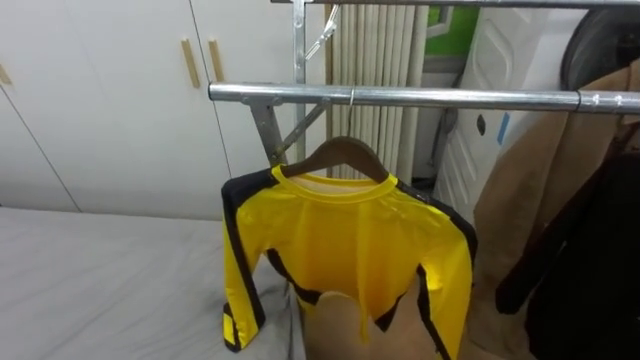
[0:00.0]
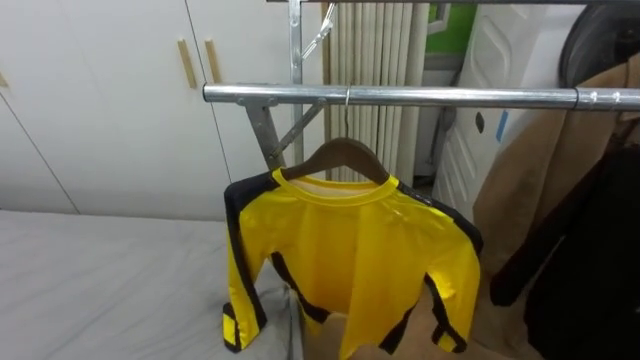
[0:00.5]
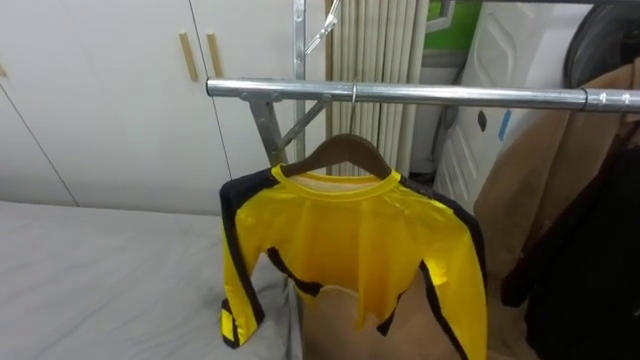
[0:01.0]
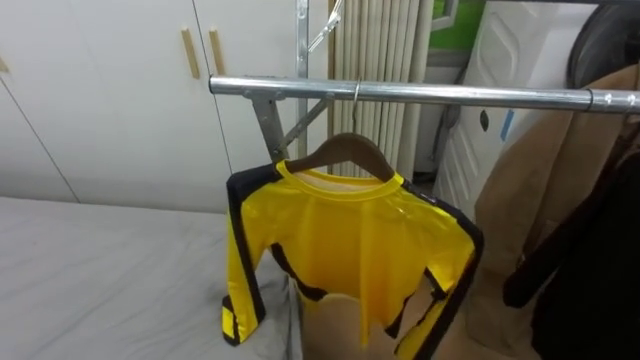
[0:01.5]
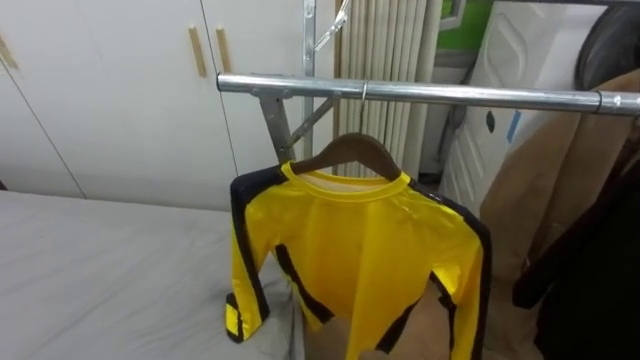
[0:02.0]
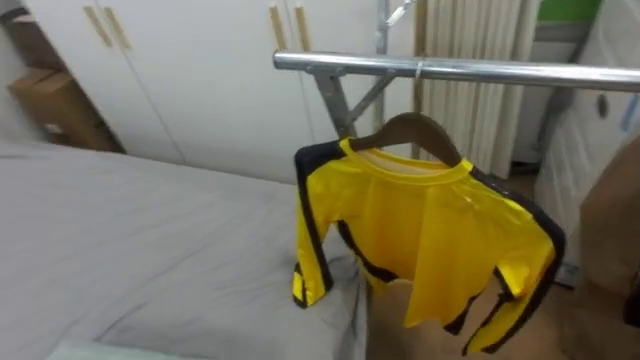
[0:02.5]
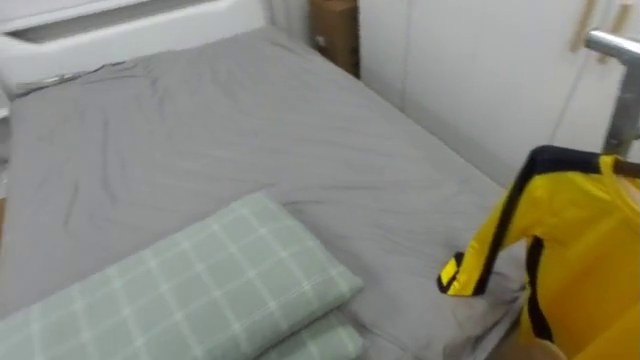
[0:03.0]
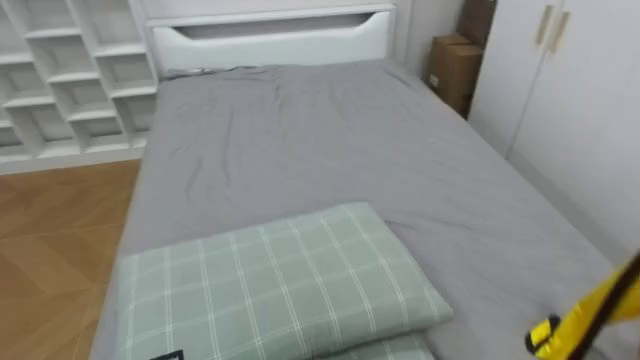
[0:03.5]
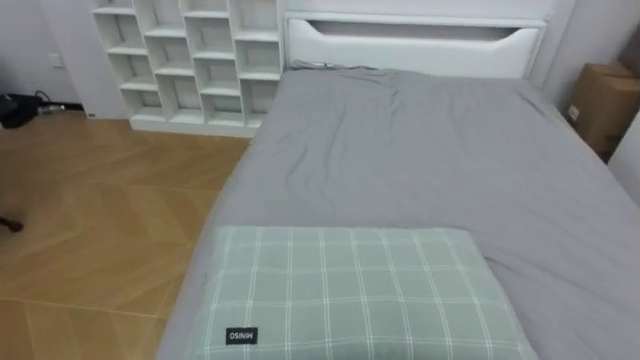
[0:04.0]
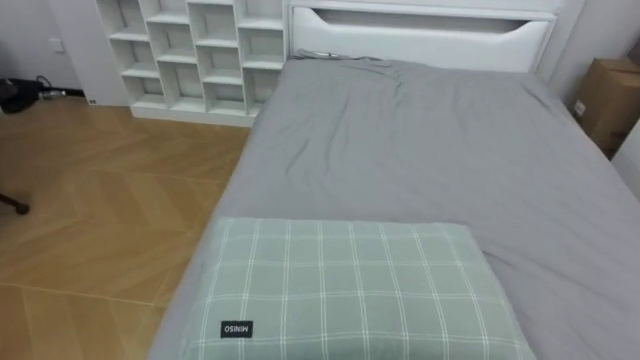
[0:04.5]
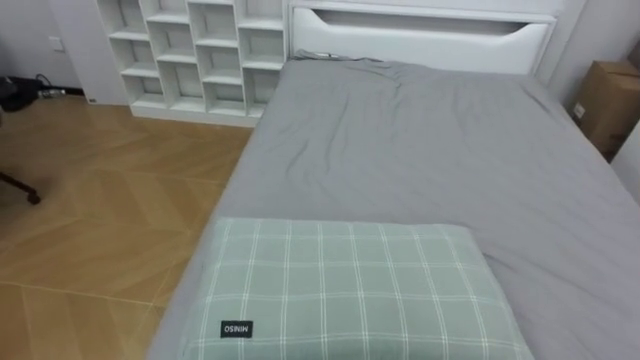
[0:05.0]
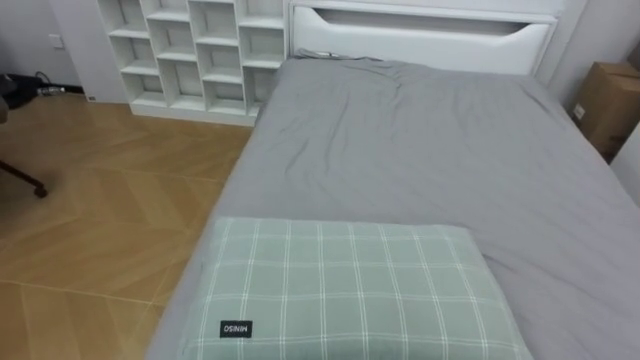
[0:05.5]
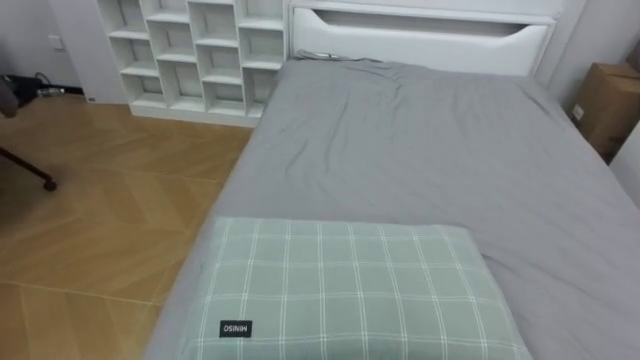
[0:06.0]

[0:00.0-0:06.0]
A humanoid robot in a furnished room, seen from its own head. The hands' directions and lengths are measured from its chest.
Task of the whole recording: Pick up the yellow shirt on the bed and hang it on the clothes rack on the right.
0:02.0 to 0:04.0: The robot turns to its left by approximately 90 degrees.

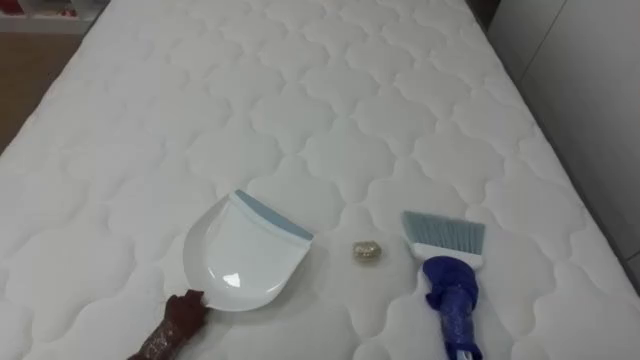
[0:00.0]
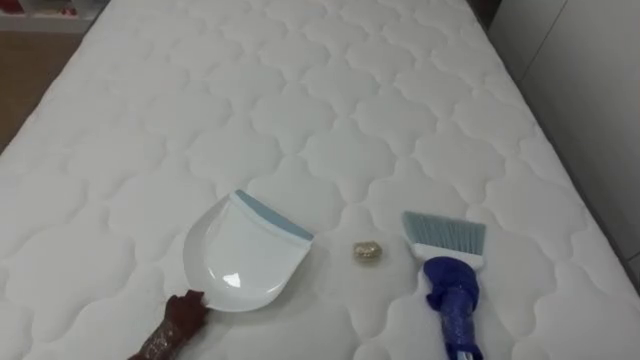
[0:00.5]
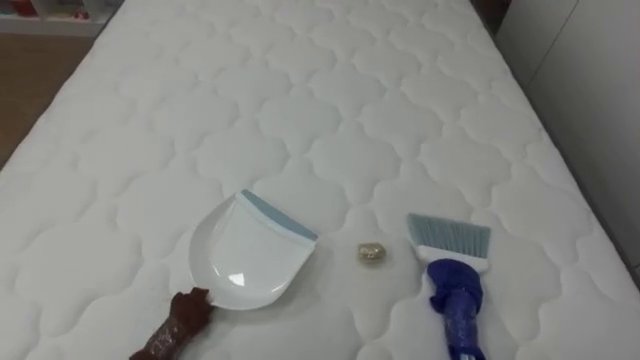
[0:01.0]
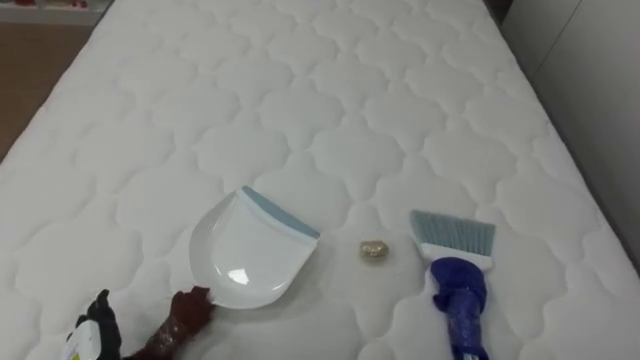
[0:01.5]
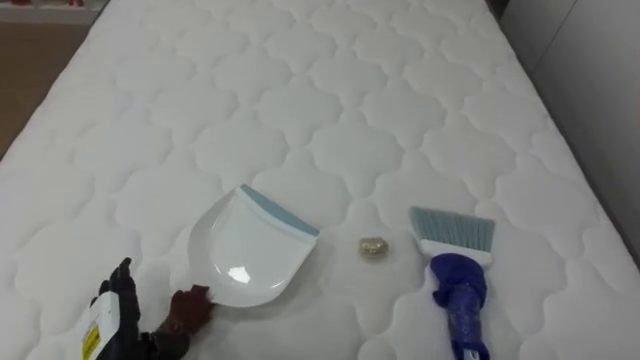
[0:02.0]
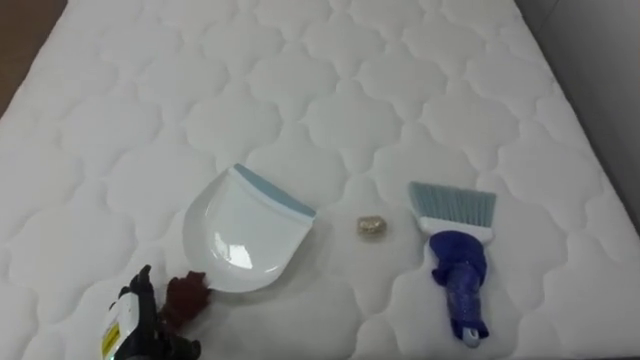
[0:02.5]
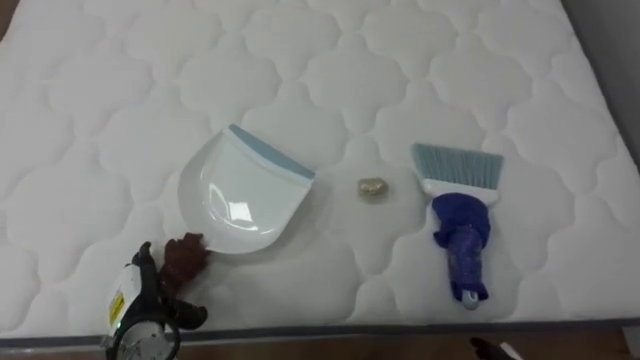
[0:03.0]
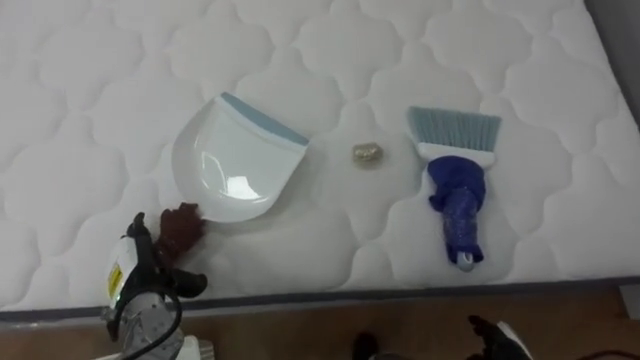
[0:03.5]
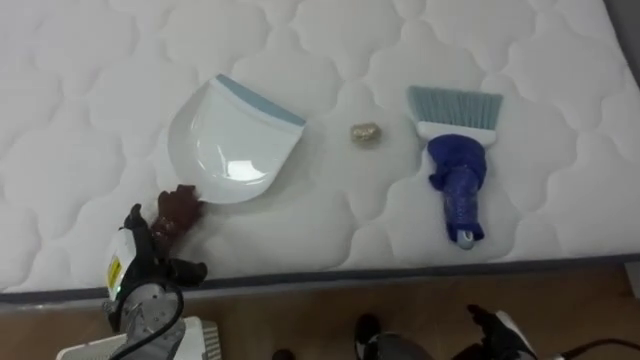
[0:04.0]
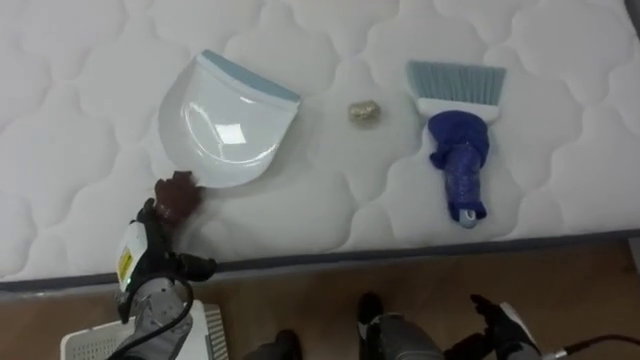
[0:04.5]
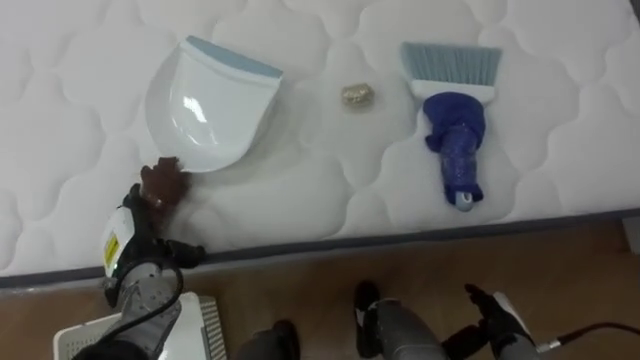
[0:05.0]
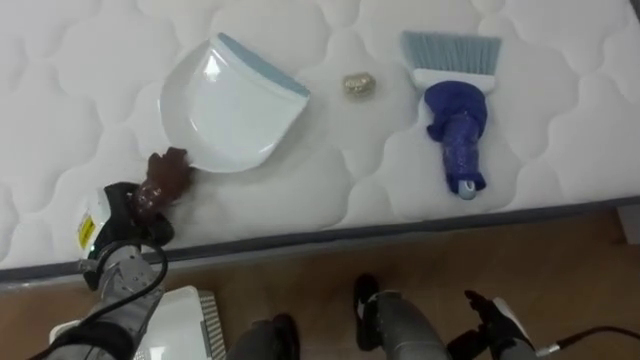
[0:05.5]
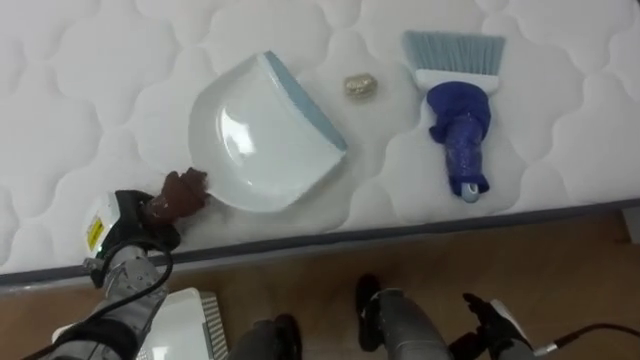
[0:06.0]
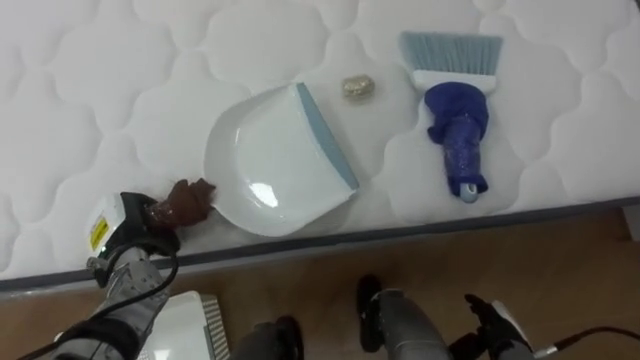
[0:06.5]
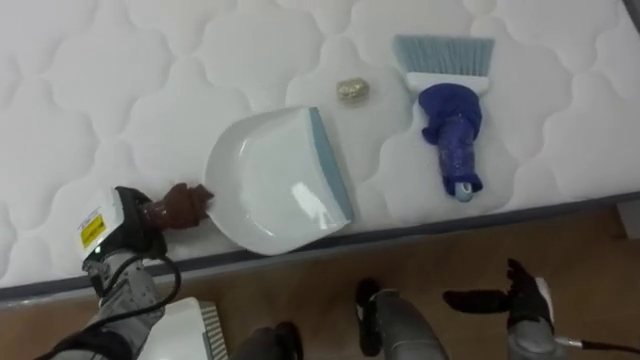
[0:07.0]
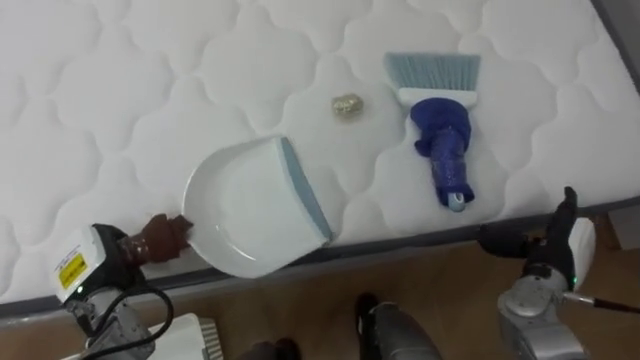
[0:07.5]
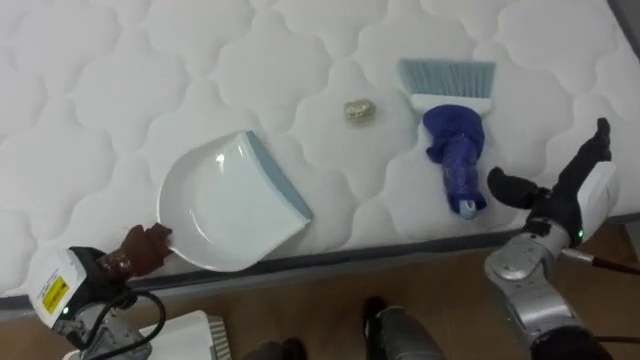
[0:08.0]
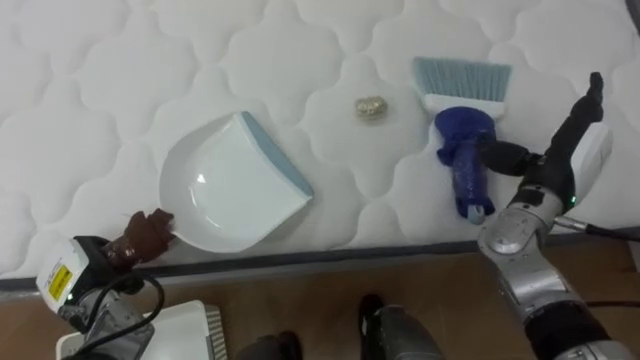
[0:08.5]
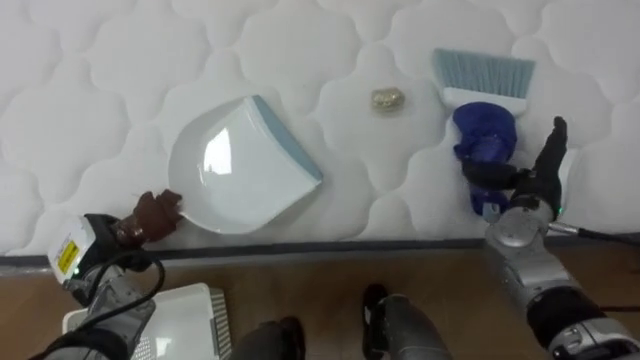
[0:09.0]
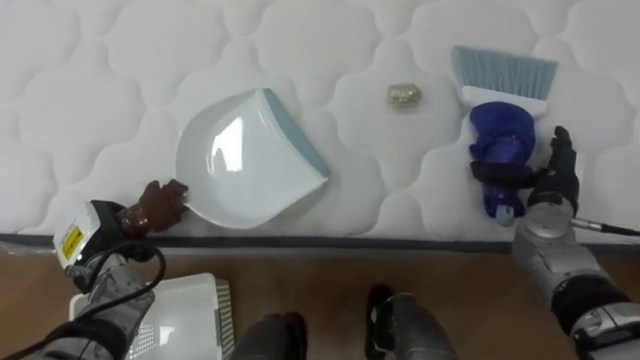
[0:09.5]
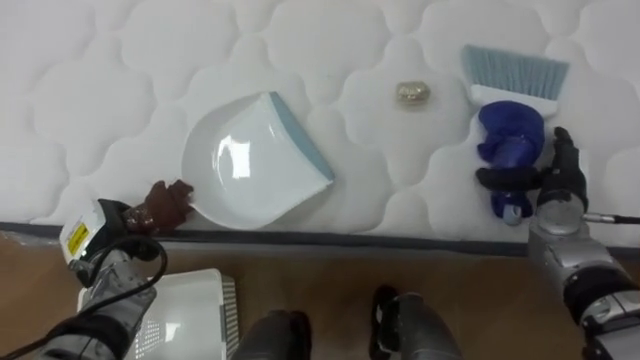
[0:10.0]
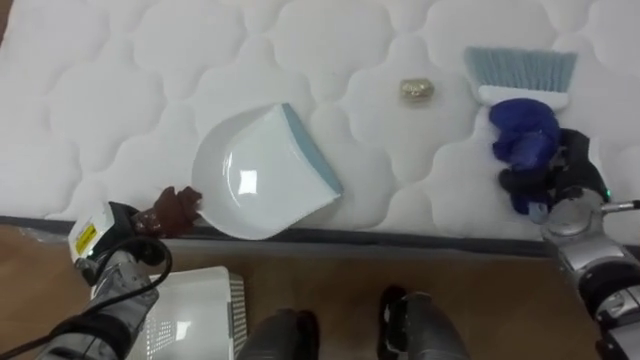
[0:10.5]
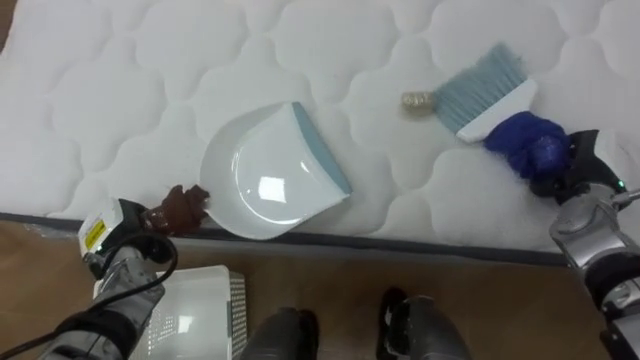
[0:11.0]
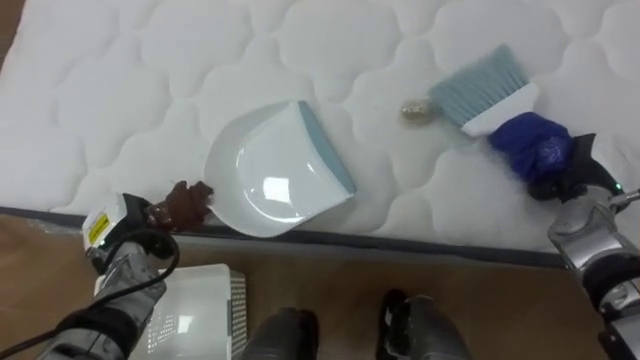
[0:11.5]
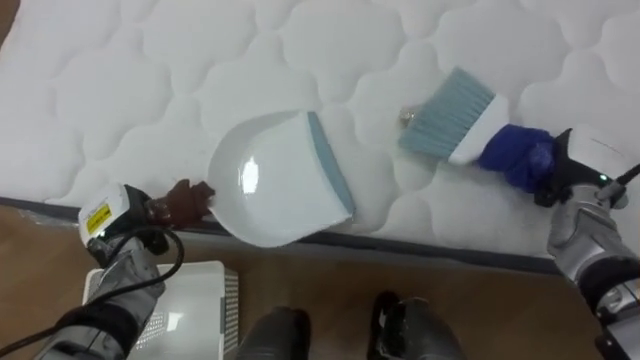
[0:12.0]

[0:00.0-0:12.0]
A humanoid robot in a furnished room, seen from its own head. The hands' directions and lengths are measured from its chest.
Task of the whole recording: Pick up the brush on your right and the dustpan on your left. Use the brush to sweep the crumpled paper on the bed into the dustpan, then turn left and empty it into the basket.
0:02.0 to 0:04.0: The left hand travels forward by roughly 10 cm.
0:04.0 to 0:06.0: The left hand ends up some 5 cm from where it was, and closes its fingers.
0:06.0 to 0:08.0: The left hand moves backward, roughly 5 cm, while the right hand goes some 20 cm upward and forward.
0:08.0 to 0:10.0: Both hands move forward, about 5 cm.
0:10.0 to 0:12.0: The right hand closes.

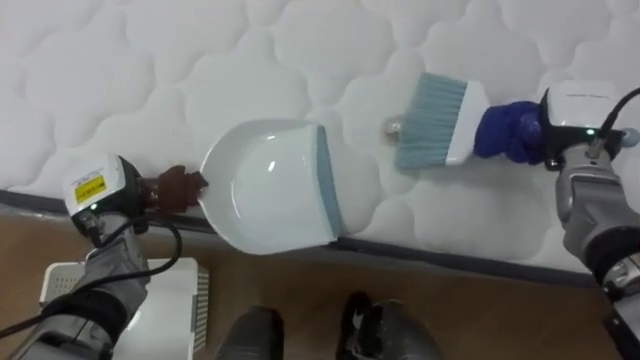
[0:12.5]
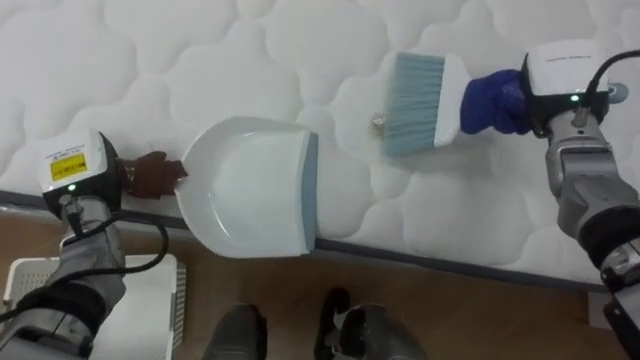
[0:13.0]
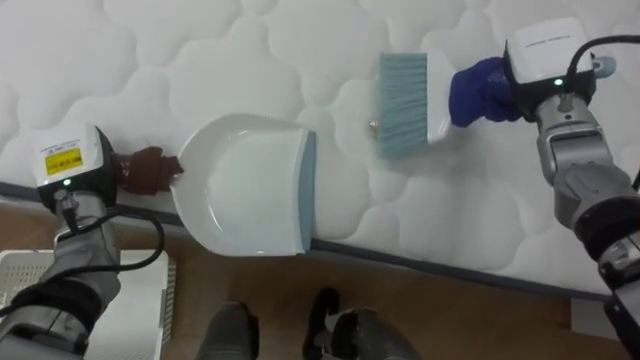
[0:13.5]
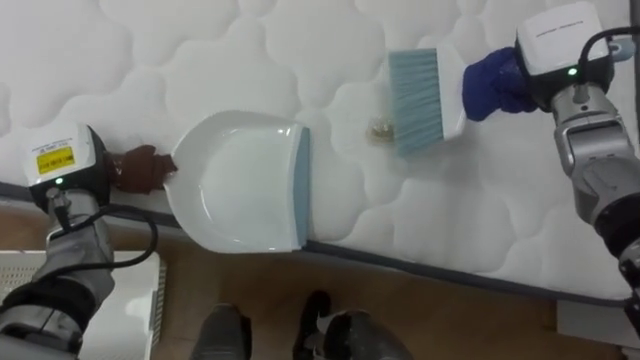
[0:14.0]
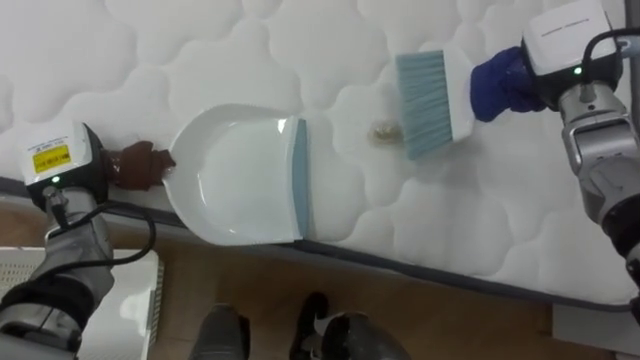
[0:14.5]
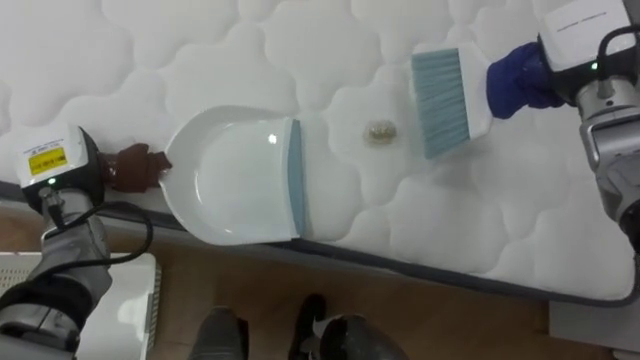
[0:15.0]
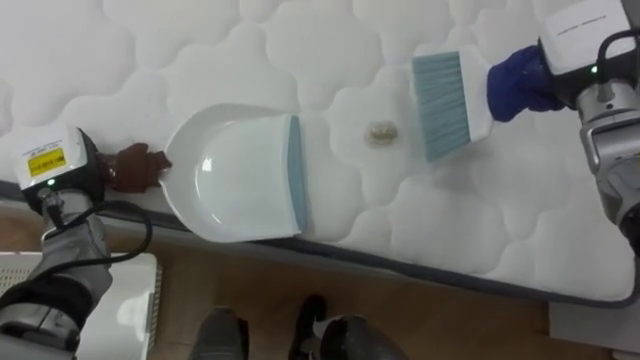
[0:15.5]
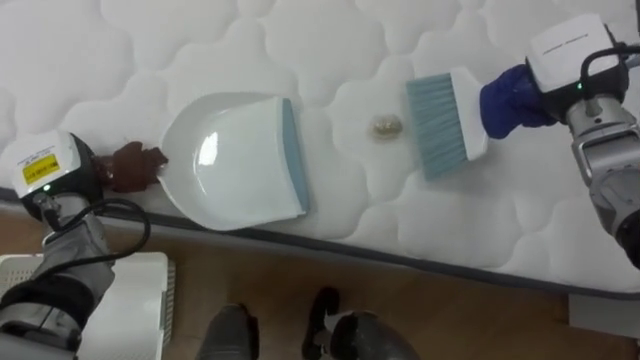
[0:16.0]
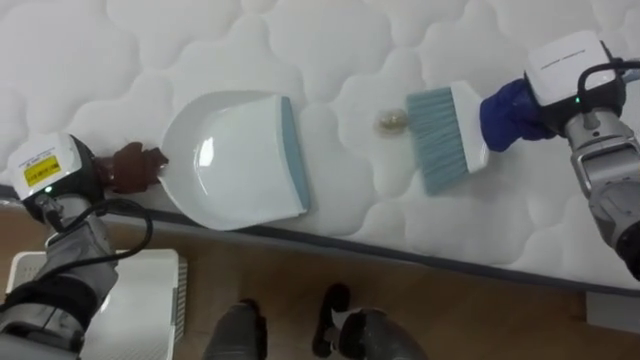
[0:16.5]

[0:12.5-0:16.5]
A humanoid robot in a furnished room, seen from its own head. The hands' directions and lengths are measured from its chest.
Task of the whole recording: Pick up the brush on your right and the dustpan on your left. Use the brush to sweep the crumpled paper on the bed into the dustpan, then turn left and empty it into the basket.
0:12.5 to 0:14.5: The right hand shifts about 10 cm upward. Meanwhile the left hand ends up roughly 5 cm from where it was.
